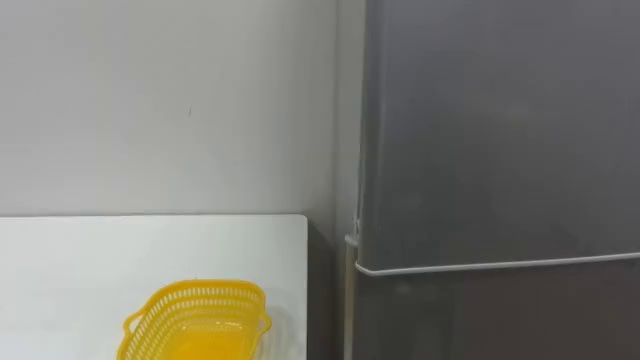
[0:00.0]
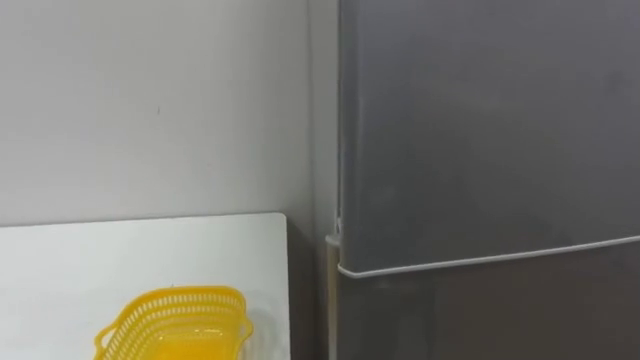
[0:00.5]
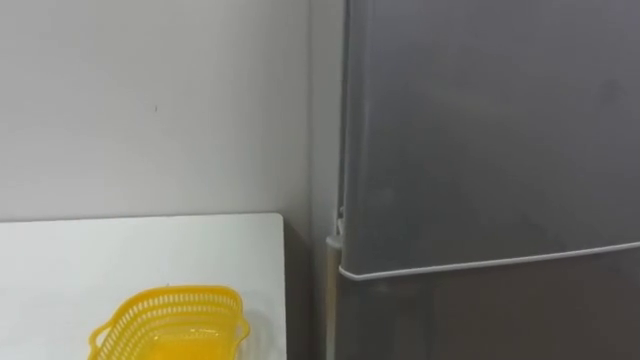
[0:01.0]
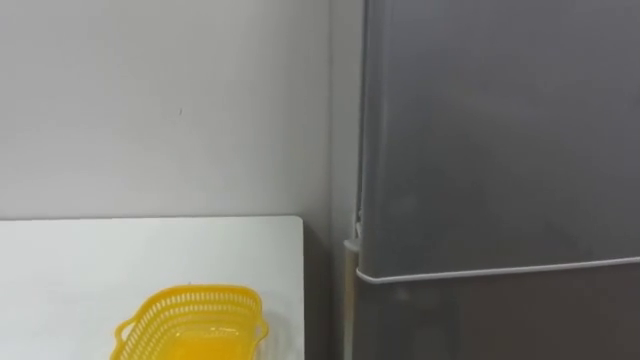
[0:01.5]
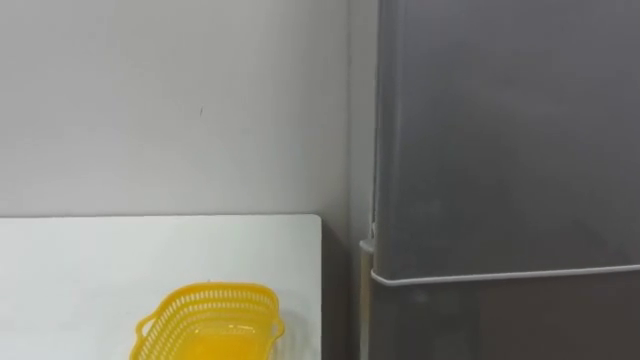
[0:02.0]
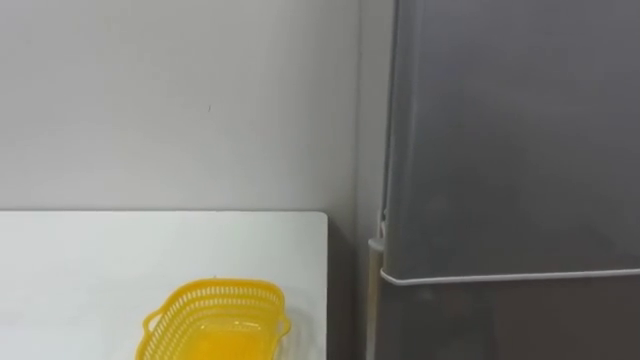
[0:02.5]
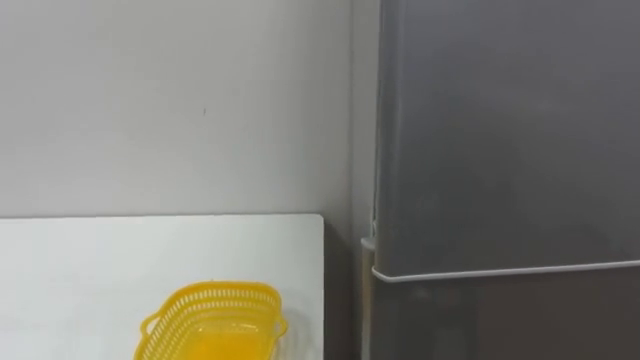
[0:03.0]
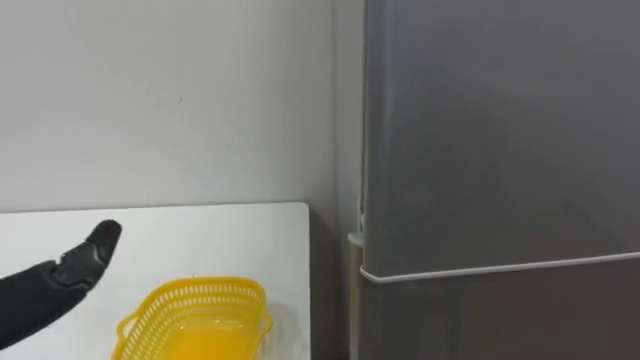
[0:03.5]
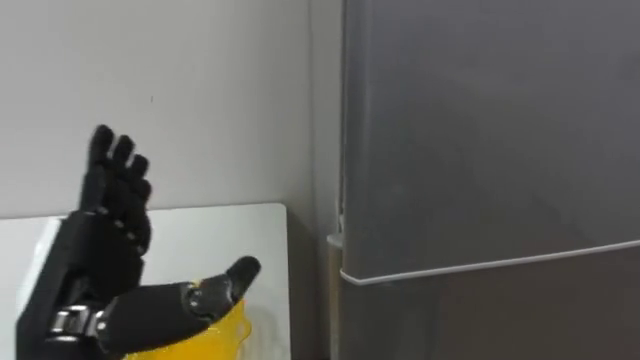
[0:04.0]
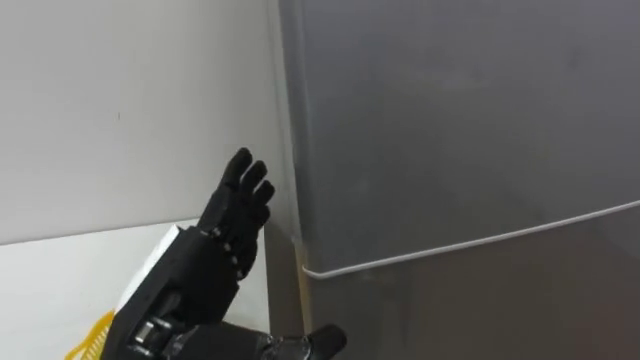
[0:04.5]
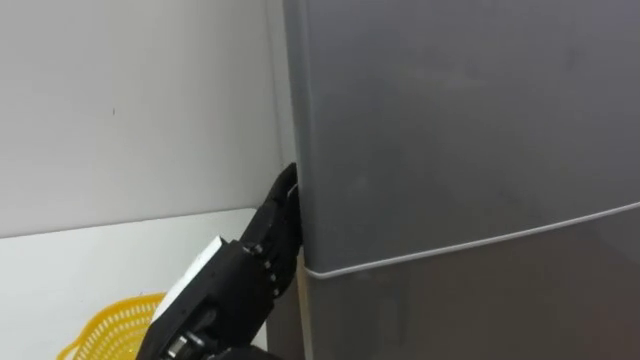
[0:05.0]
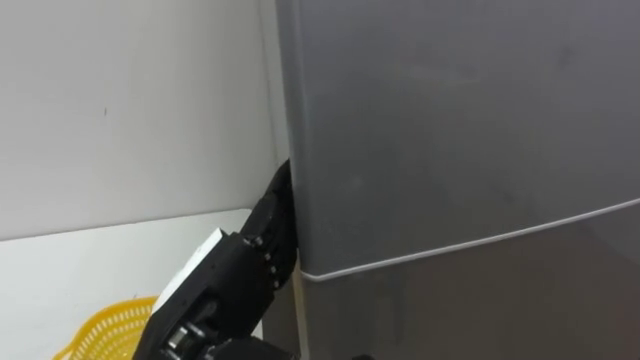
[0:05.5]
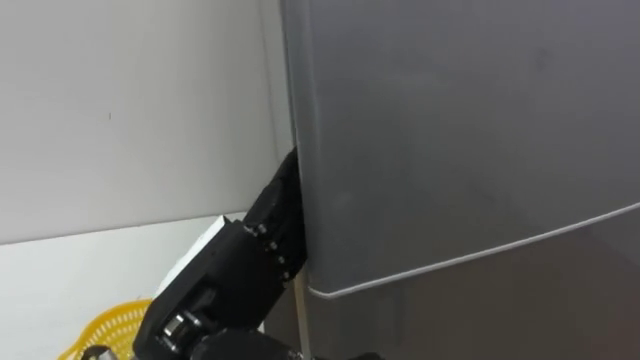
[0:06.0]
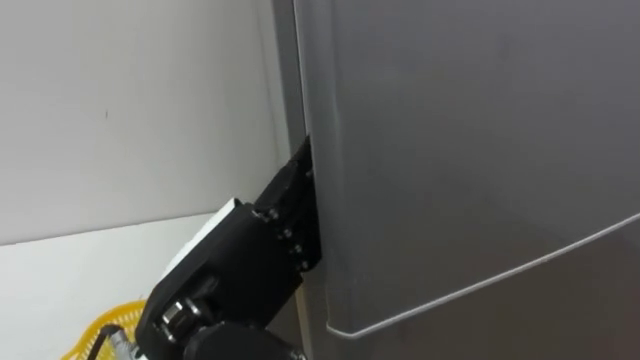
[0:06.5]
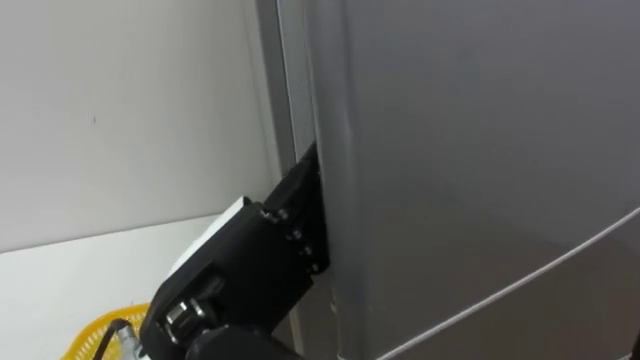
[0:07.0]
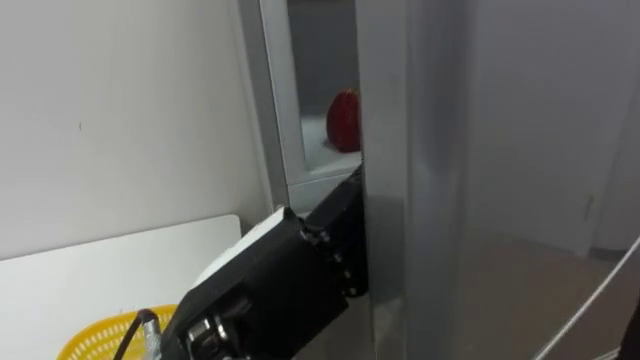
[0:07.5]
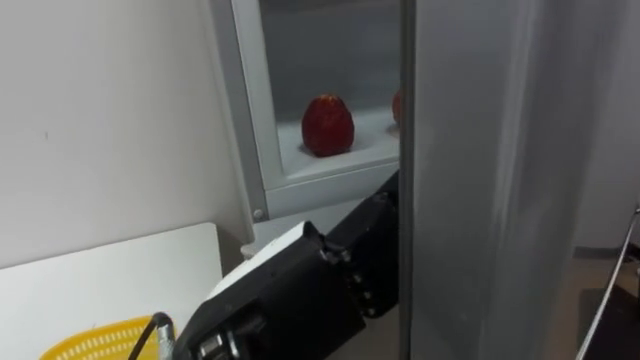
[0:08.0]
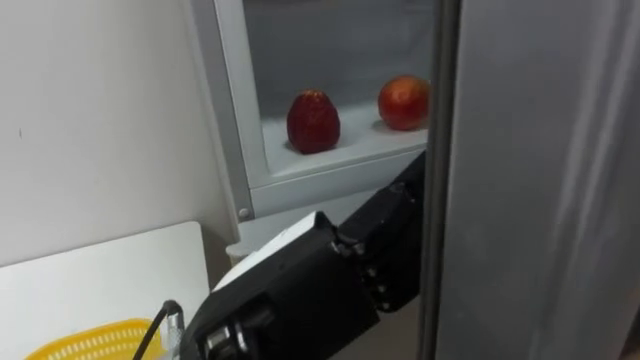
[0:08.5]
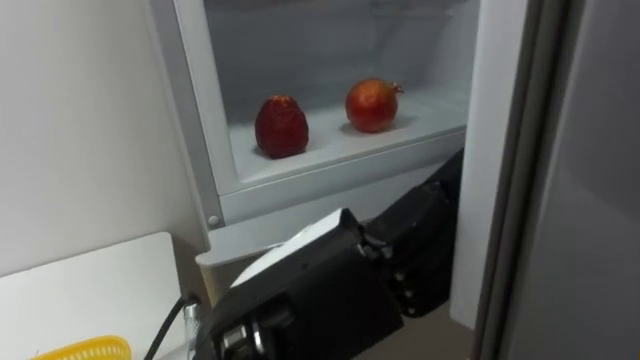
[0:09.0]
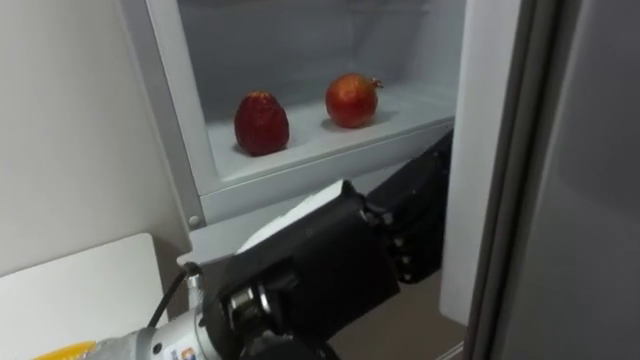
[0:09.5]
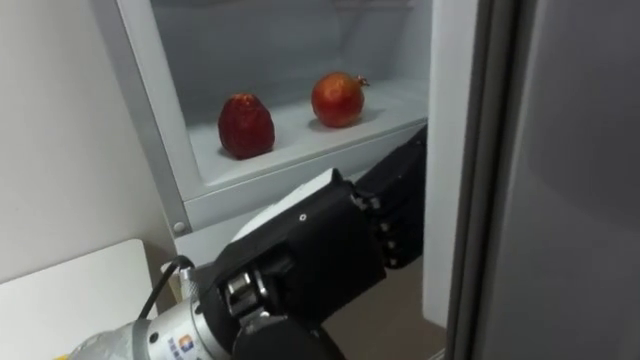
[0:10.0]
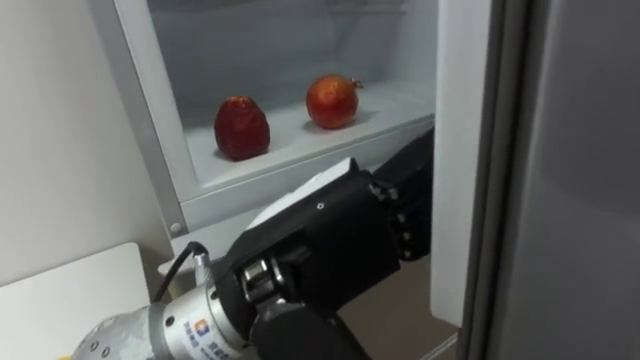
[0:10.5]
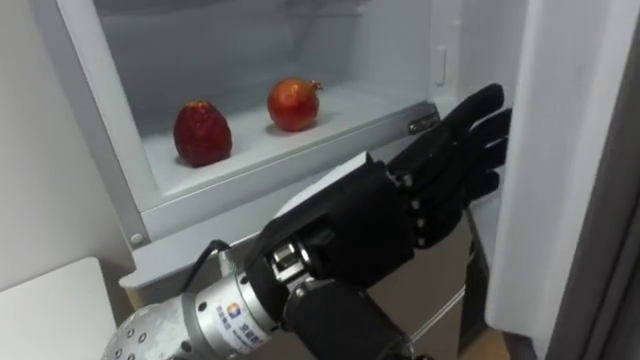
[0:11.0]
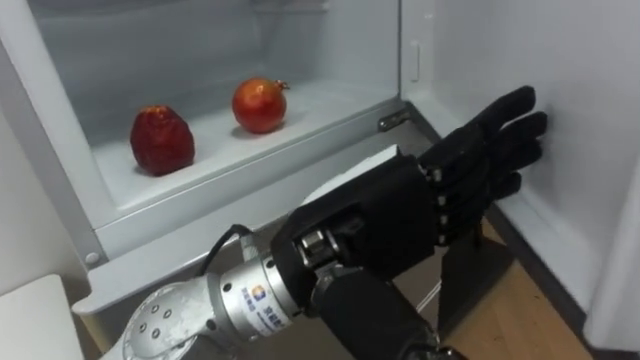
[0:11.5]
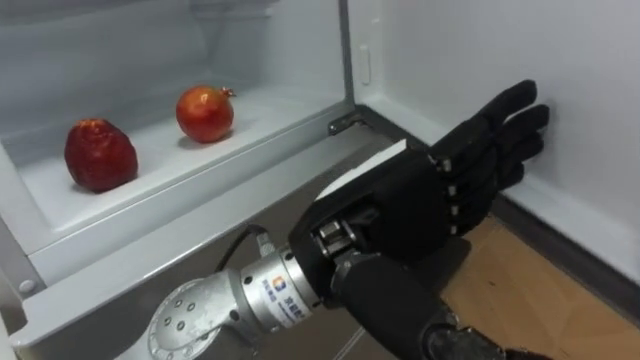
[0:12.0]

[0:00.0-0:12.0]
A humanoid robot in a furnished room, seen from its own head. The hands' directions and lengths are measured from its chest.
Task of the whole recording: Open the refrigerator door, take out the apple and the pomegranate, place them in the fruit basket on the left, and close the refrigerator door.
0:04.0 to 0:06.0: The left hand travels to the right by about 10 cm.
0:06.0 to 0:08.0: The left hand ends up roughly 5 cm from where it was.
0:10.0 to 0:12.0: The left hand goes approximately 5 cm to the right.

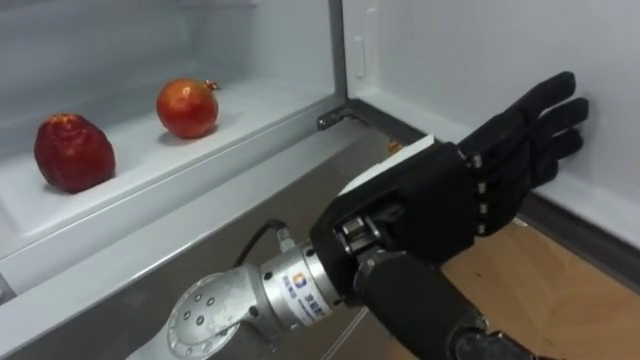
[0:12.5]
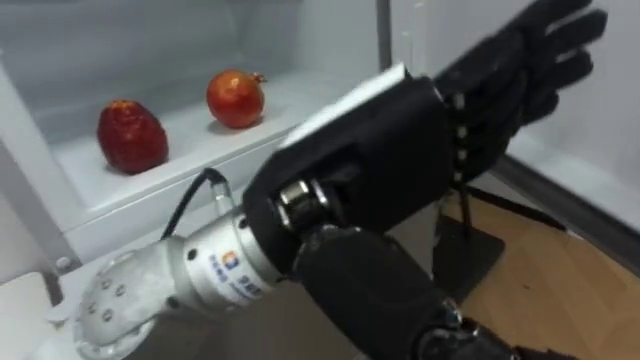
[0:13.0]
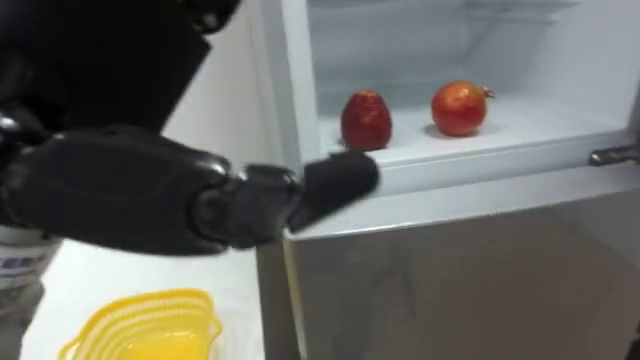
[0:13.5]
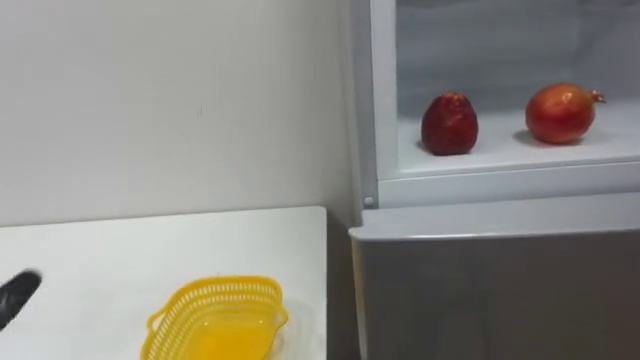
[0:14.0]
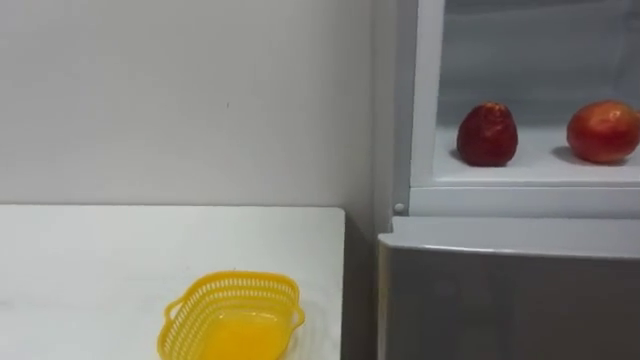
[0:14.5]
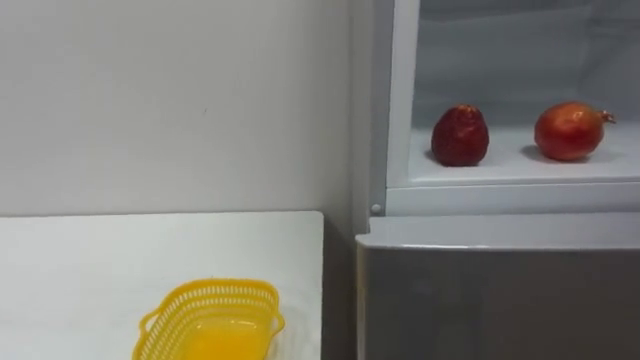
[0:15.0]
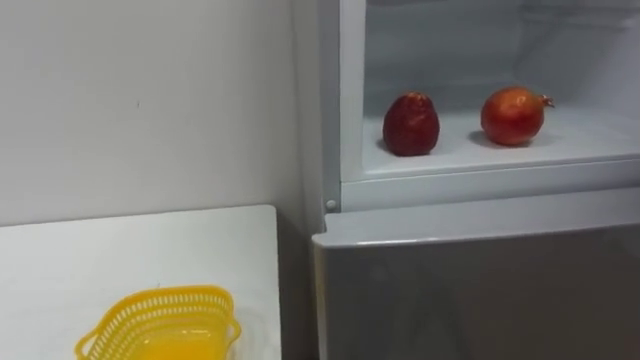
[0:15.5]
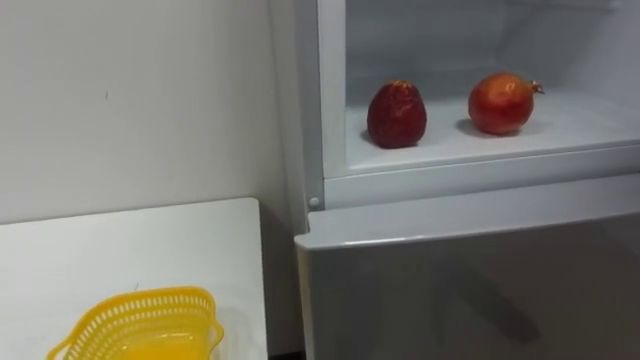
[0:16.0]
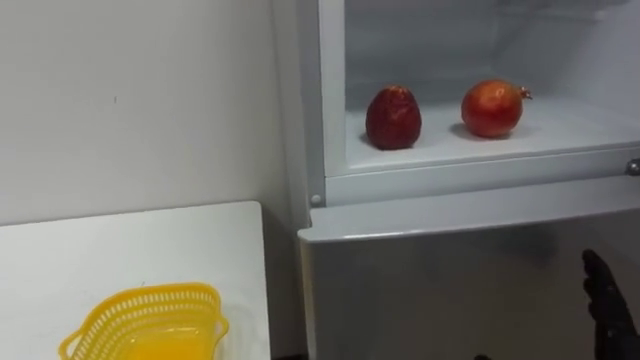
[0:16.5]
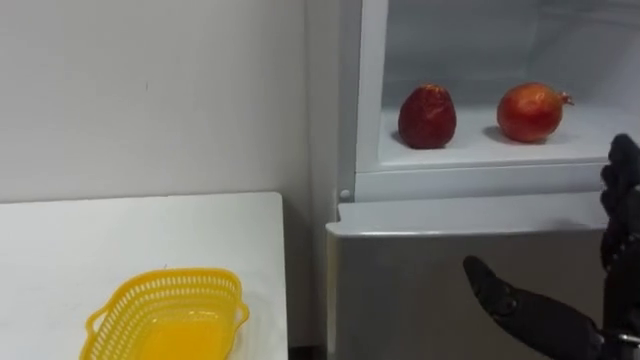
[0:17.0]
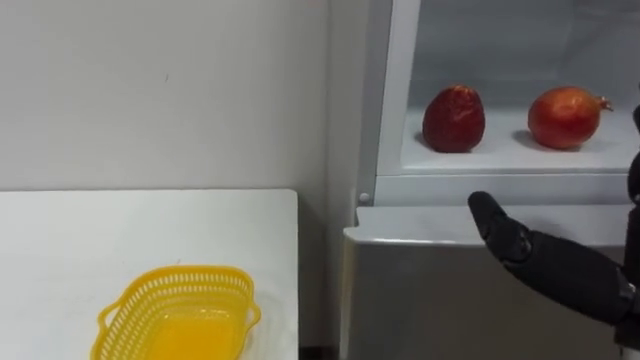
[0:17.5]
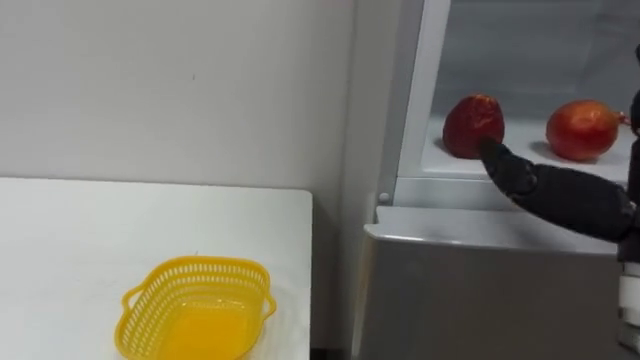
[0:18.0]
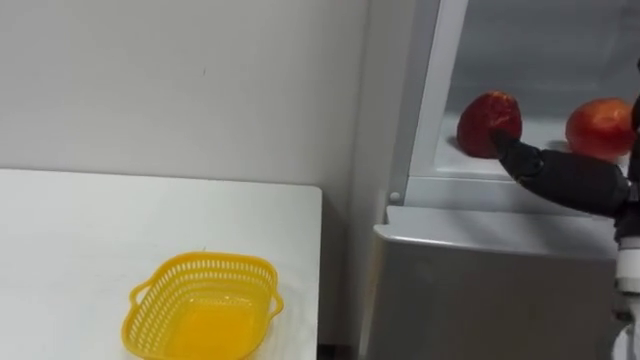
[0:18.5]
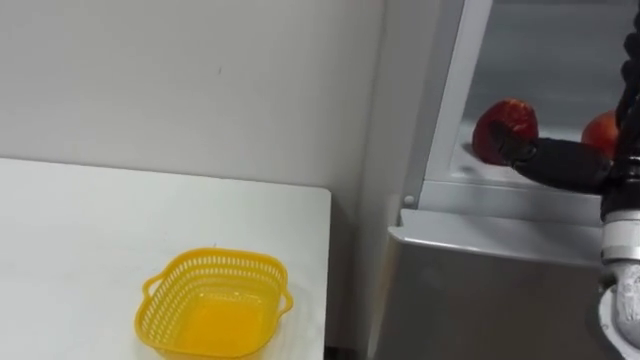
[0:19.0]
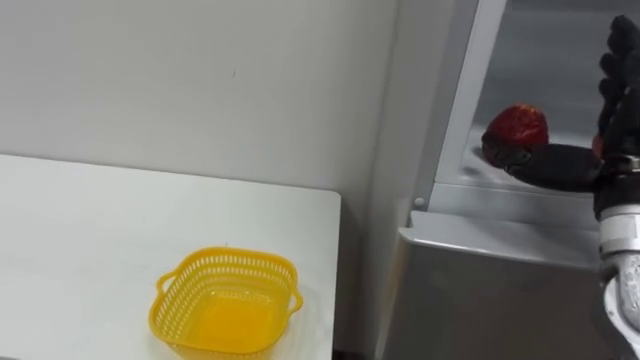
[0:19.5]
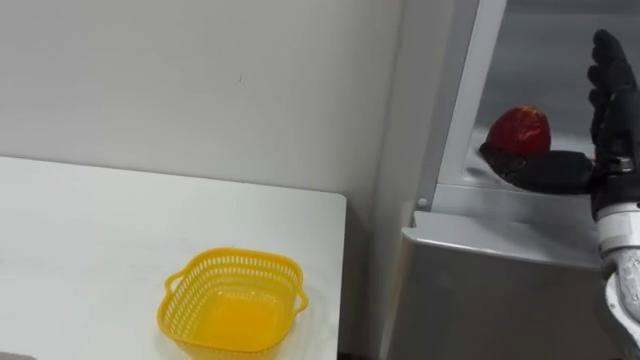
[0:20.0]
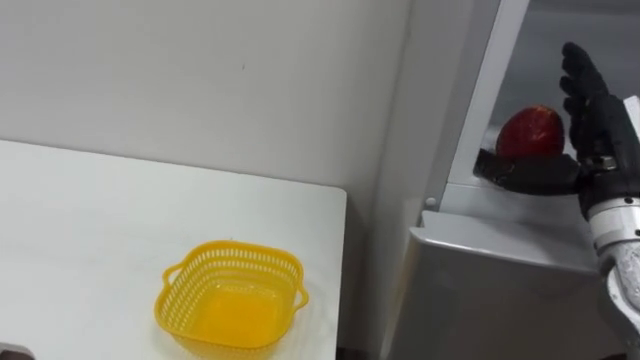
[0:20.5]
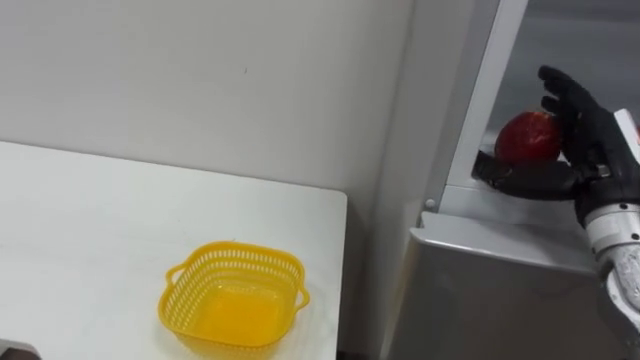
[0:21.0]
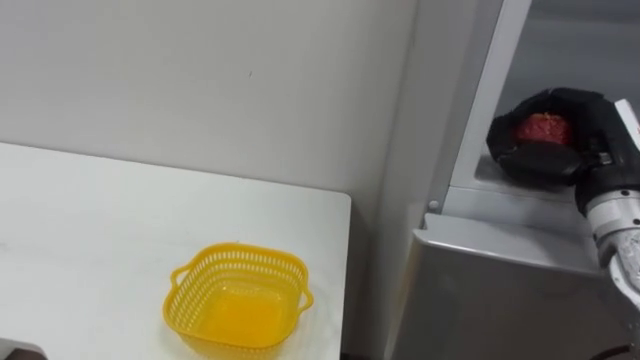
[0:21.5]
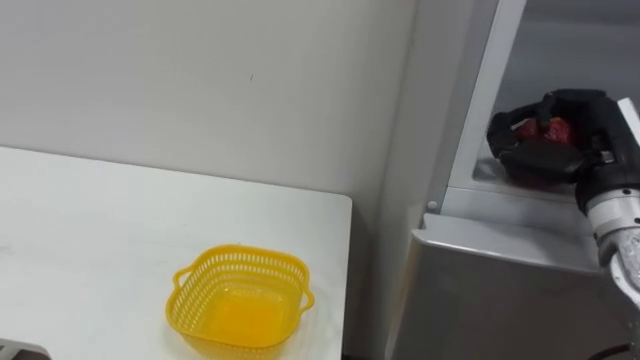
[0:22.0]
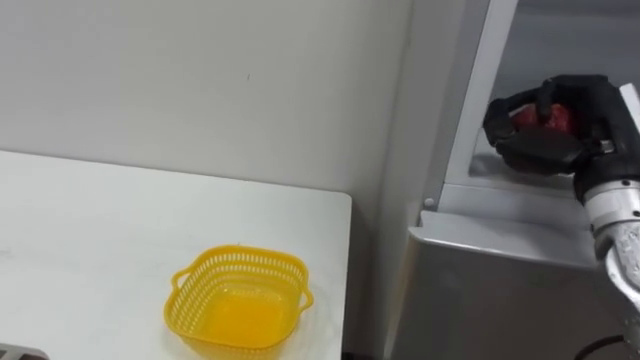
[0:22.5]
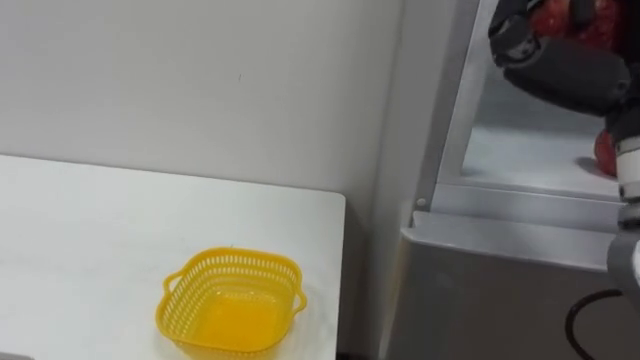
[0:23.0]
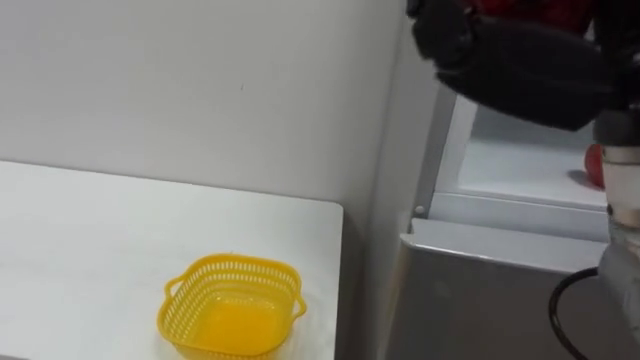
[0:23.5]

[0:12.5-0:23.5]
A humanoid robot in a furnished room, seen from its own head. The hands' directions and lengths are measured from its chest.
Task of the whole recording: Open the refrigerator door, take out the apple and the pomegranate, place them in the fruit basket on the left, and close the refrigerator door.
0:20.0 to 0:21.5: The right hand closes its fingers.
0:21.5 to 0:23.5: The right hand shifts approximately 25 cm upward, backward and to the left.
